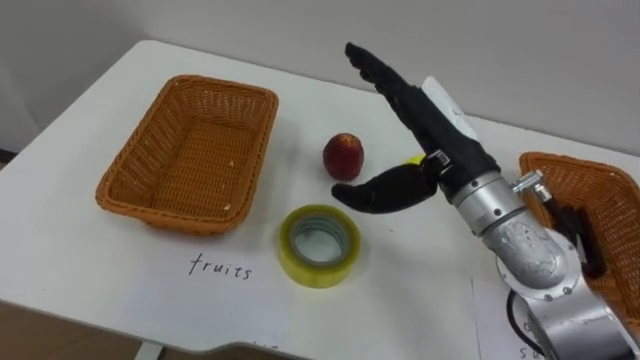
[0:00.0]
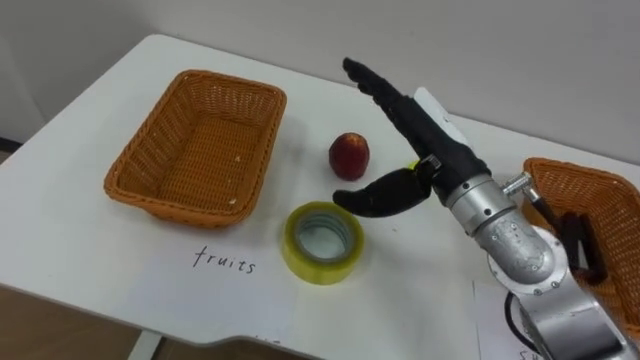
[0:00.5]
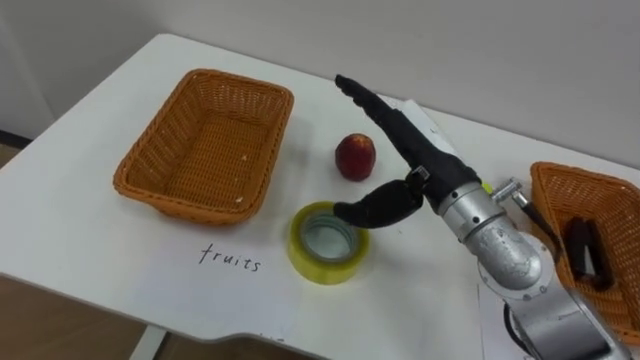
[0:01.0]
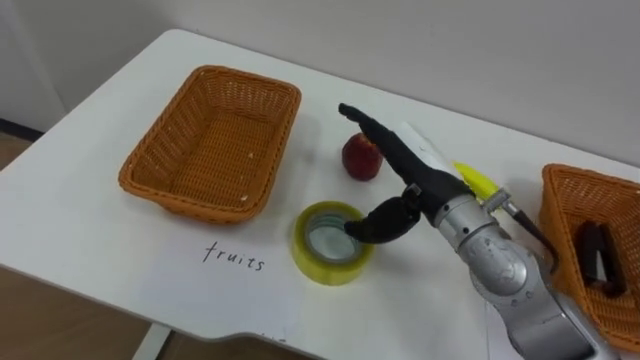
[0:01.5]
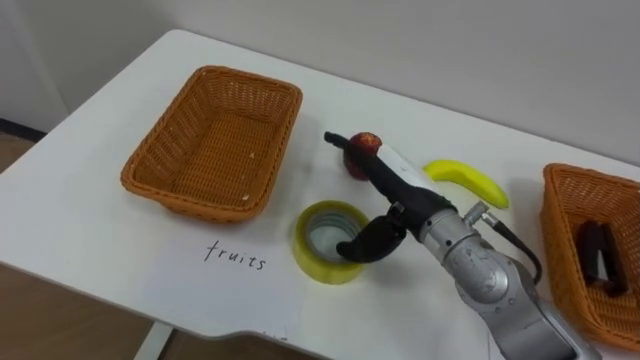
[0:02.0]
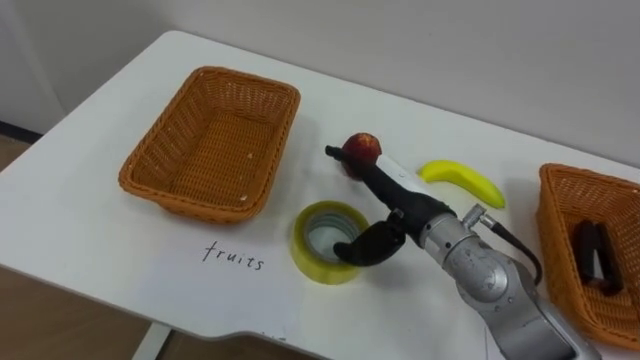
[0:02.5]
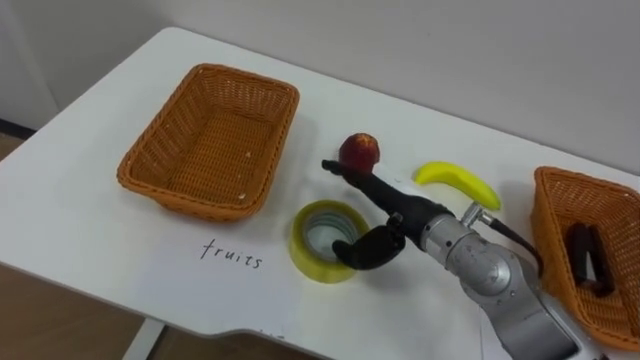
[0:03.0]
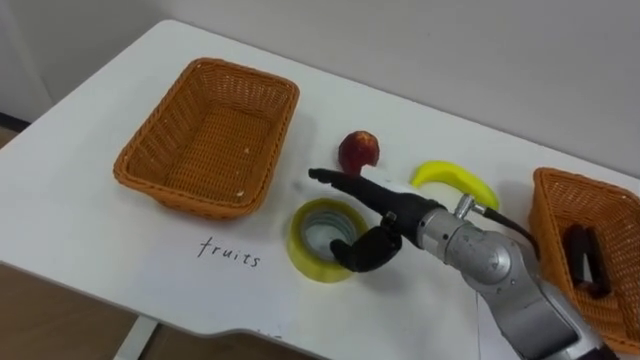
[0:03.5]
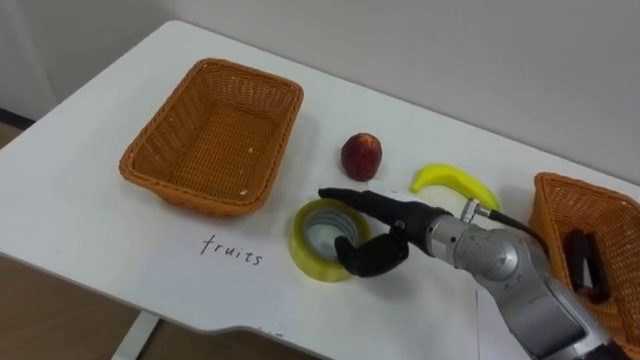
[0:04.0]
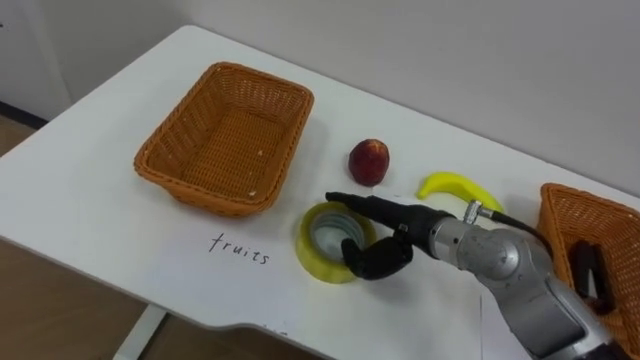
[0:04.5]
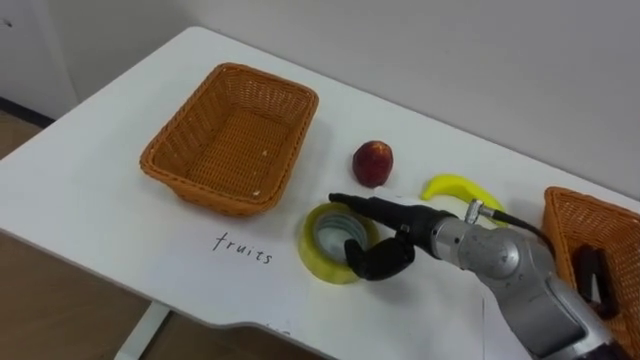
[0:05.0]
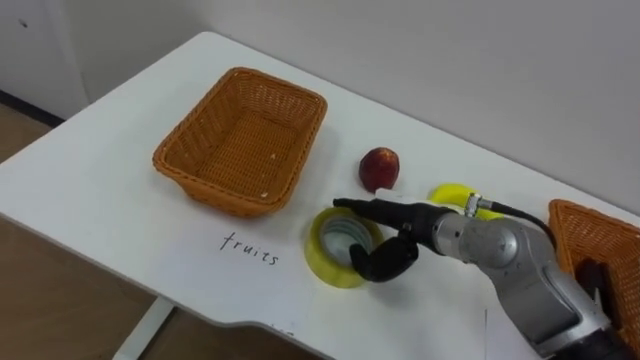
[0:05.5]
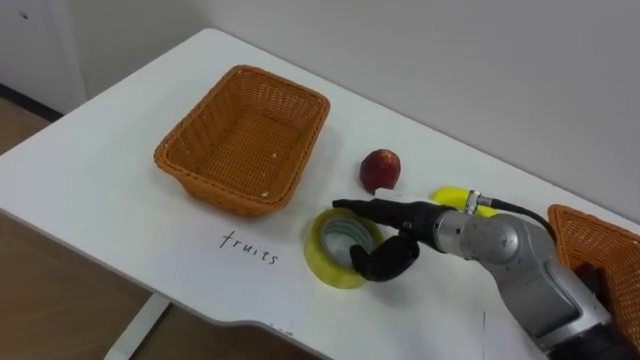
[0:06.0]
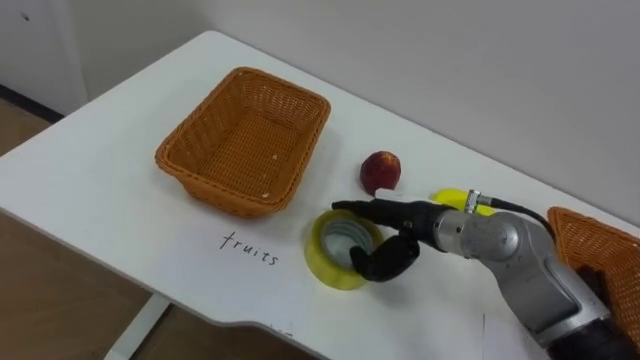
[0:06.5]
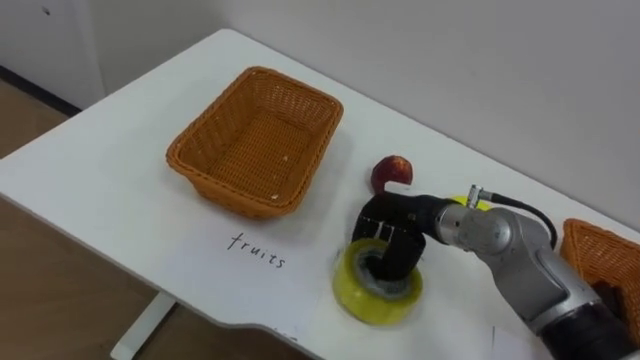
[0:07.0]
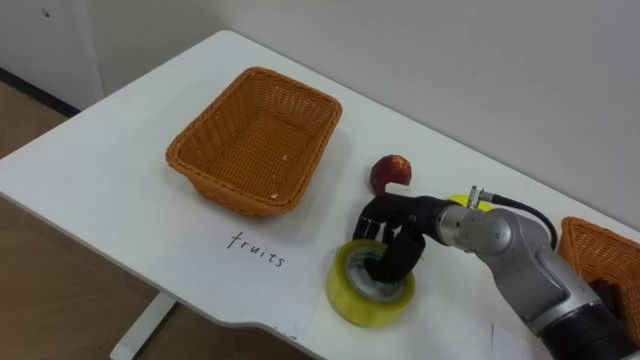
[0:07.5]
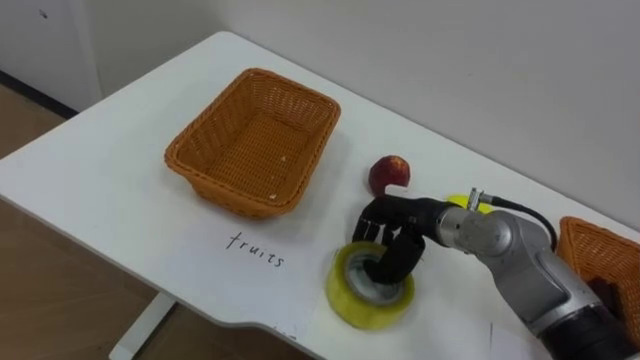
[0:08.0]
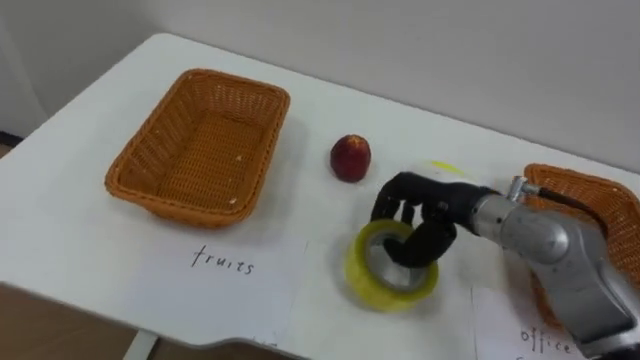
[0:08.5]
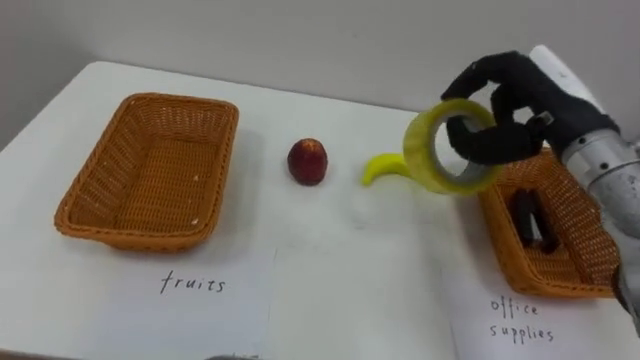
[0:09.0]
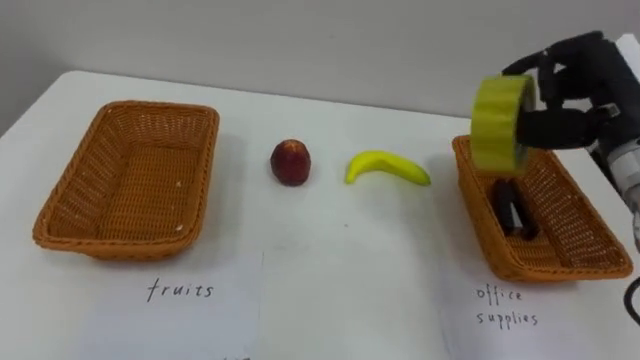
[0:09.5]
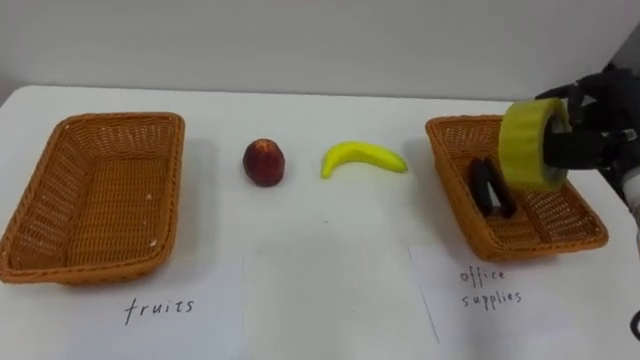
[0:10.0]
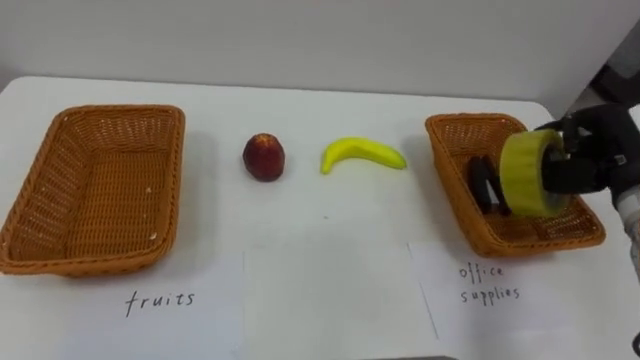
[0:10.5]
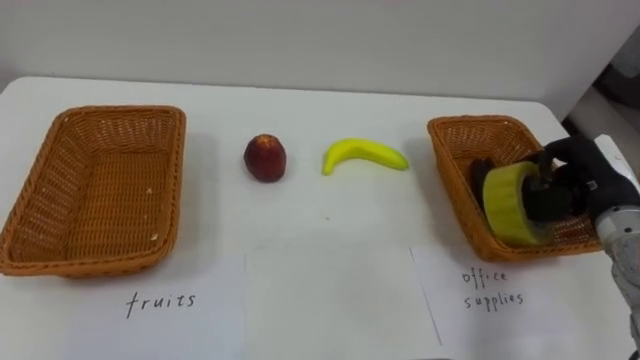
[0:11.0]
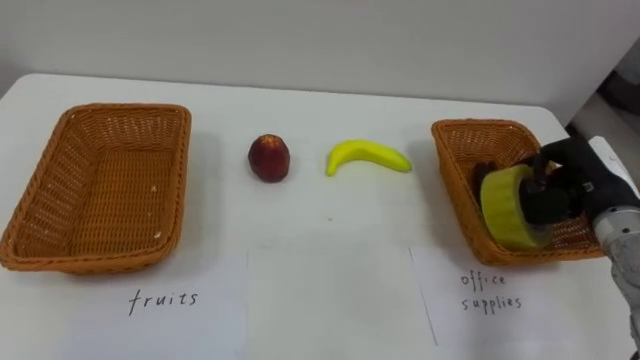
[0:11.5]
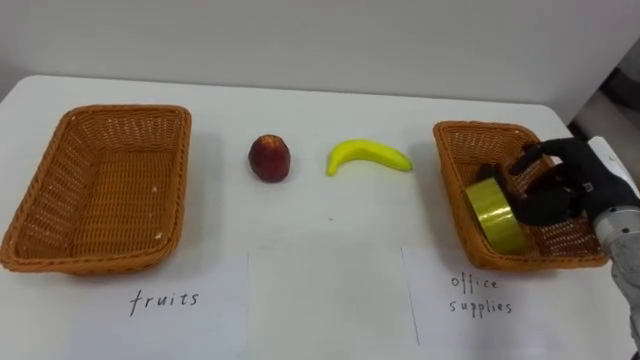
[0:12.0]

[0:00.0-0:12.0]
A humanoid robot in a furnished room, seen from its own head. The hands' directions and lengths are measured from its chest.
Task of the whole recording: Separate the items on the table and place them into the two baskets.
0:00.0 to 0:02.0: The right hand shifts about 10 cm downward.
0:06.0 to 0:08.0: The right hand closes up.
0:08.0 to 0:10.0: The right hand travels to the right and upward by approximately 25 cm.
0:10.0 to 0:12.0: The right hand moves downward, about 10 cm.

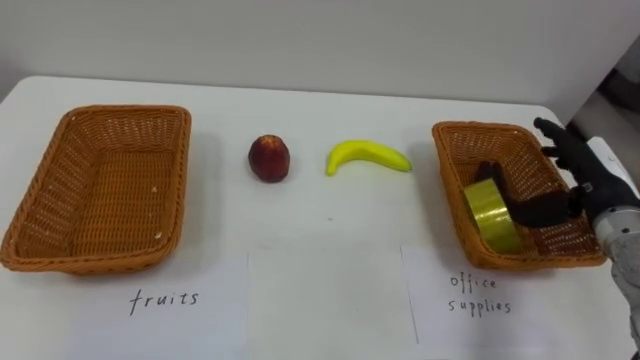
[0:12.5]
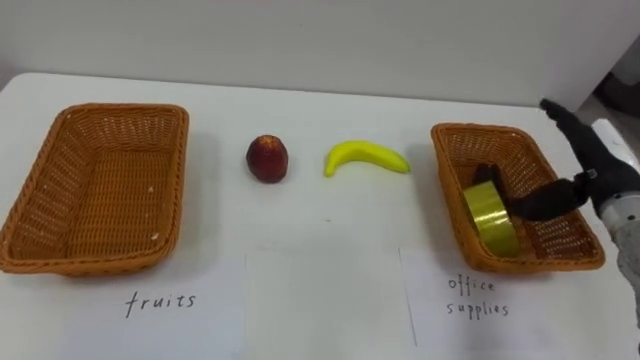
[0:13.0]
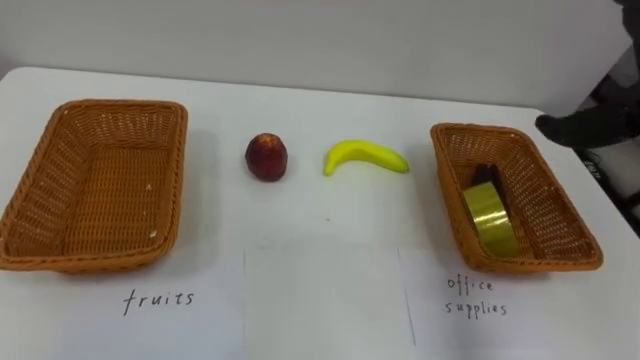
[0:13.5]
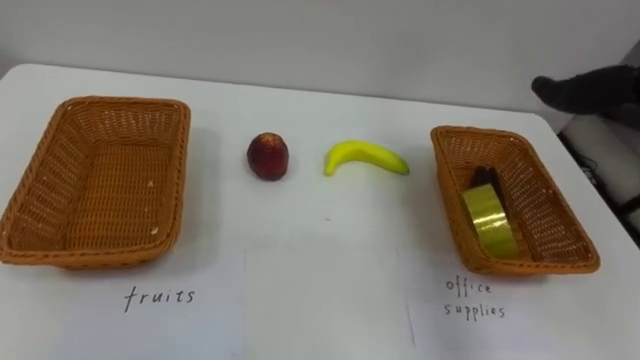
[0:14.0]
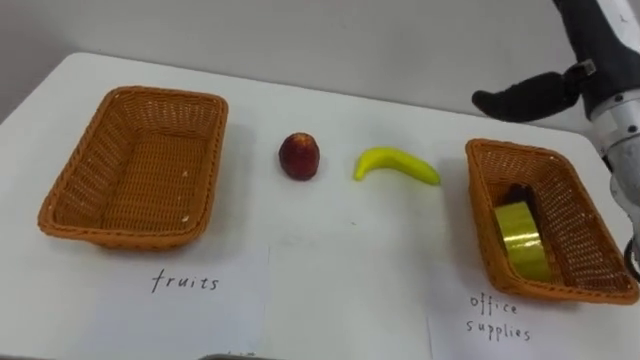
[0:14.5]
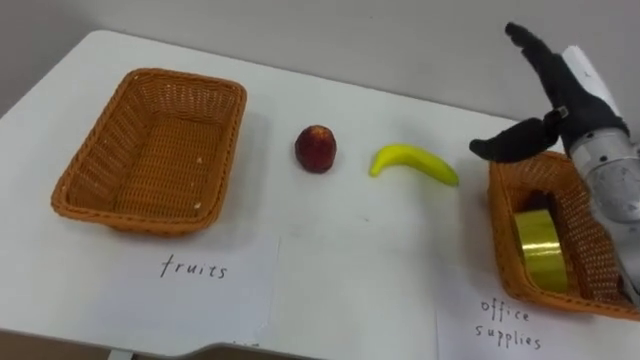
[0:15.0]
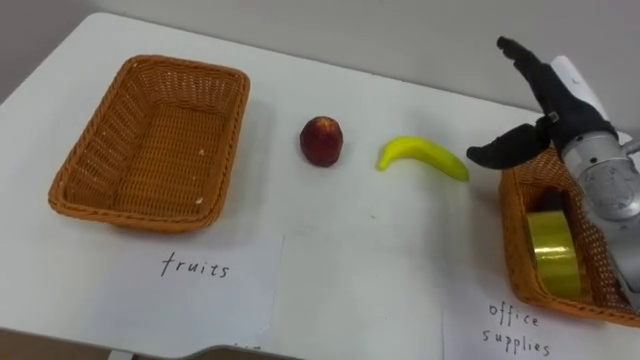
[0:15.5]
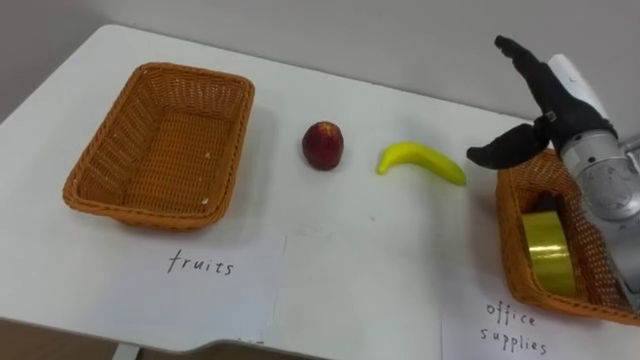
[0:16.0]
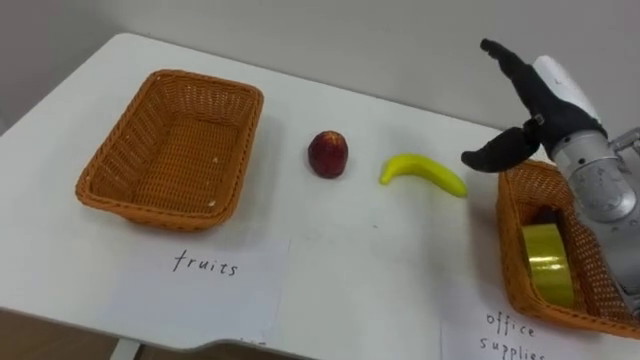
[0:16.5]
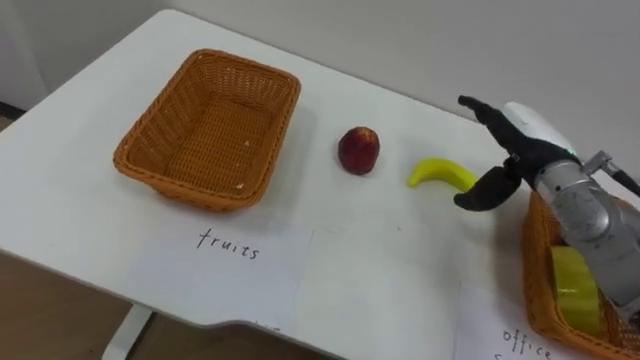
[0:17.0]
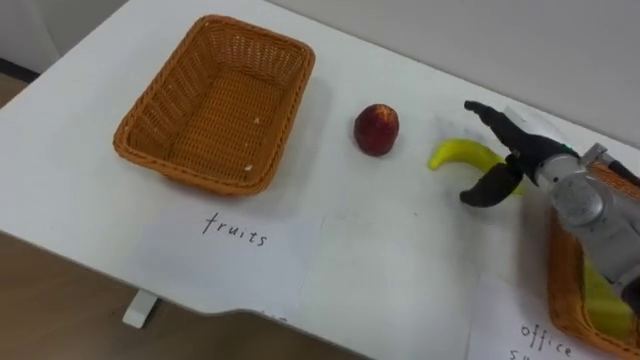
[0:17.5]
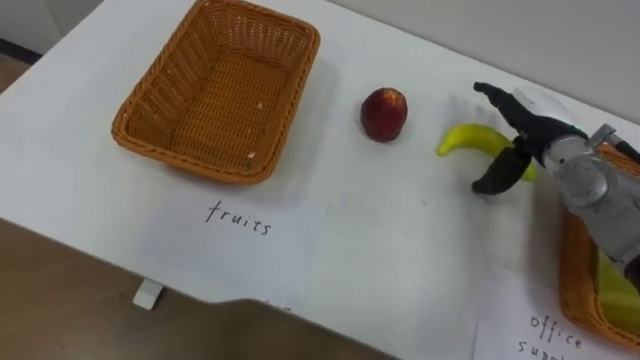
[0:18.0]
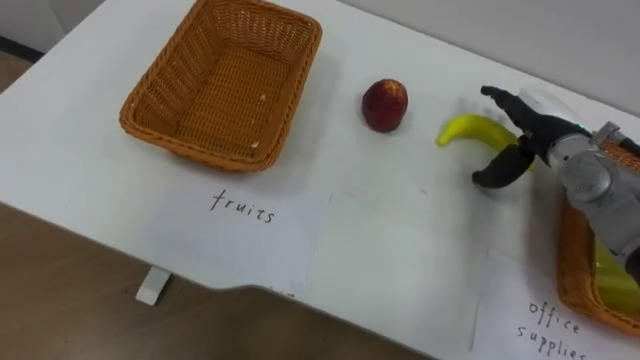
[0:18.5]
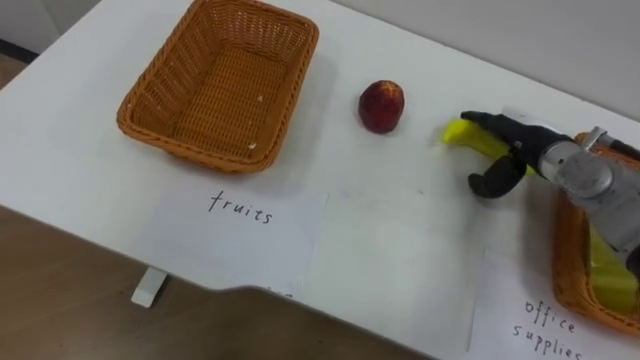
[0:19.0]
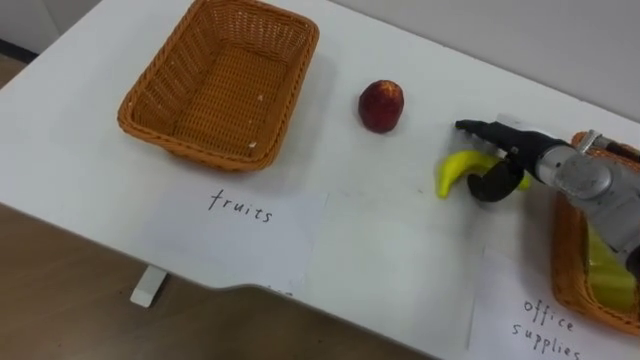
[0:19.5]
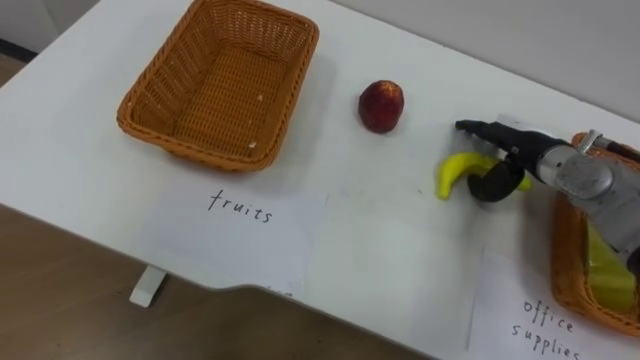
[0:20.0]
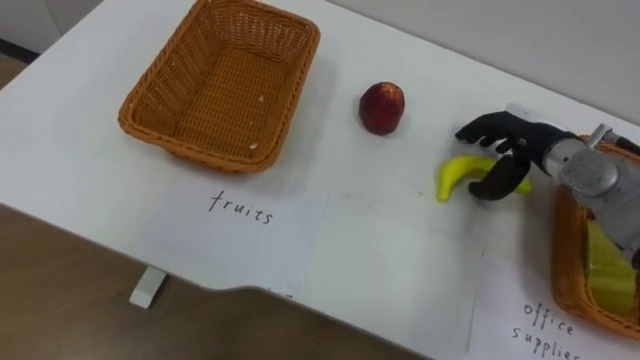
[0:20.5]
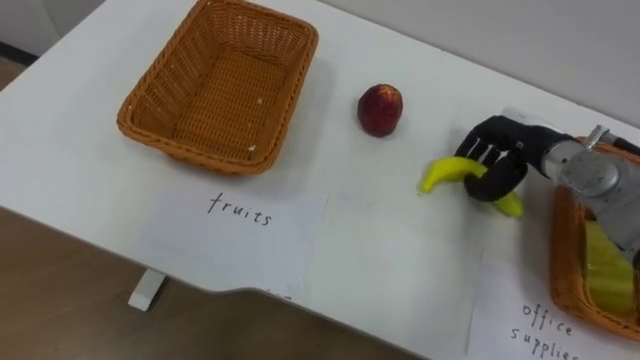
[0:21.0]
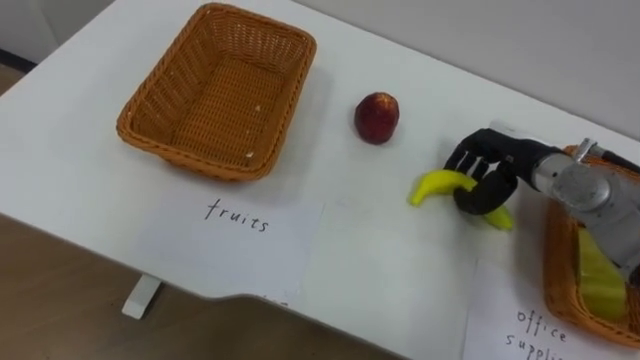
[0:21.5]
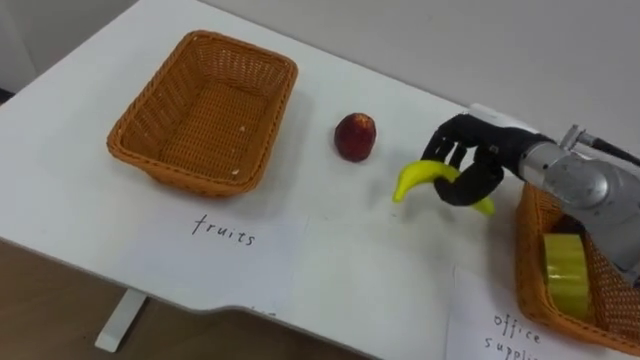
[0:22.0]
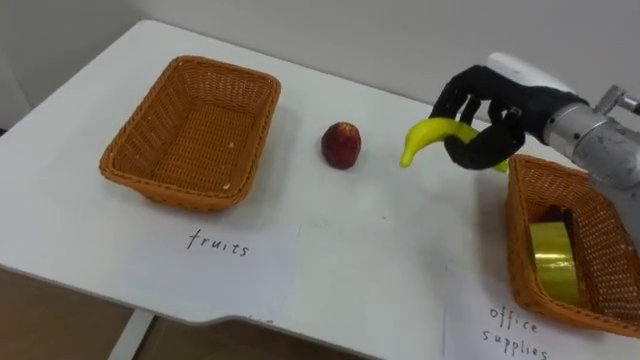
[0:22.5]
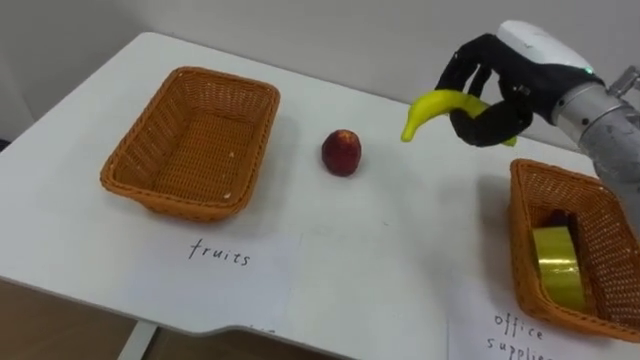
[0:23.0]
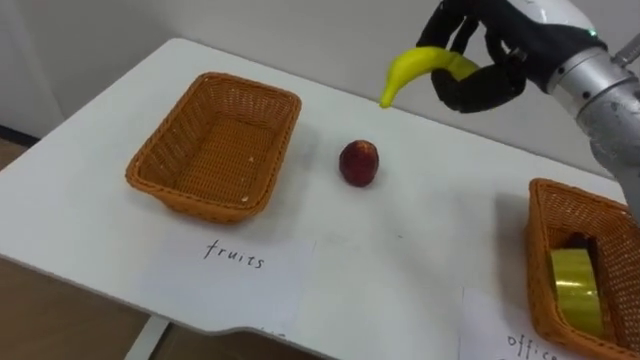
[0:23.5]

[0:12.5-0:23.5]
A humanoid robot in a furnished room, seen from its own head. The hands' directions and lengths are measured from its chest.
Task of the whole recording: Separate the items on the table and place them into the two baskets.
0:14.5 to 0:16.0: The right hand shifts about 10 cm downward.
0:16.0 to 0:18.0: The right hand travels downward by approximately 5 cm.
0:20.0 to 0:21.5: The right hand closes.
0:21.5 to 0:23.5: The right hand shifts roughly 20 cm upward.
